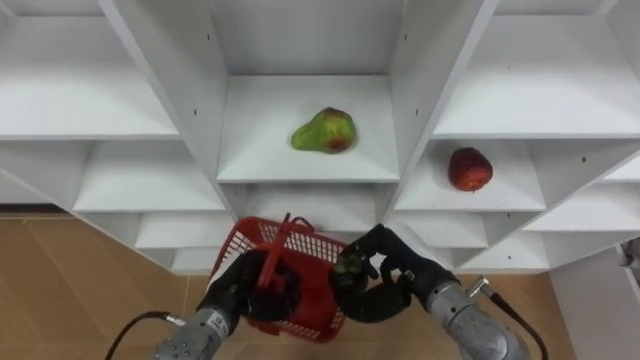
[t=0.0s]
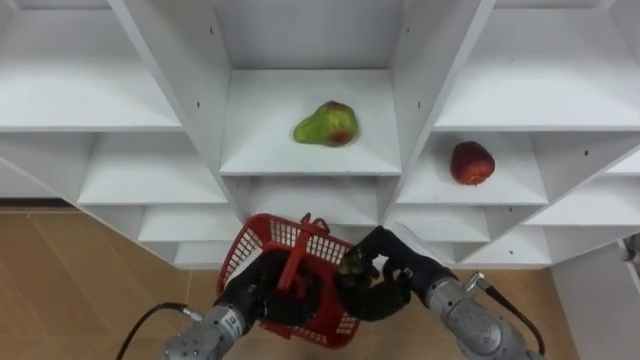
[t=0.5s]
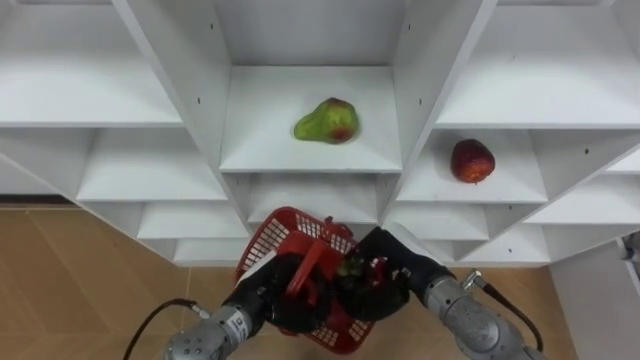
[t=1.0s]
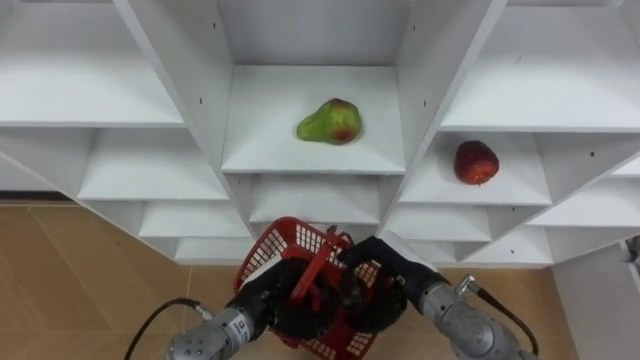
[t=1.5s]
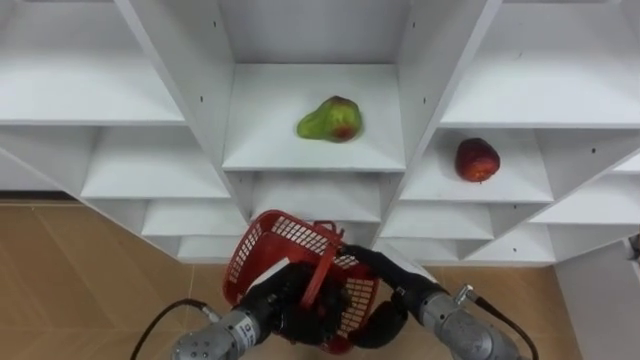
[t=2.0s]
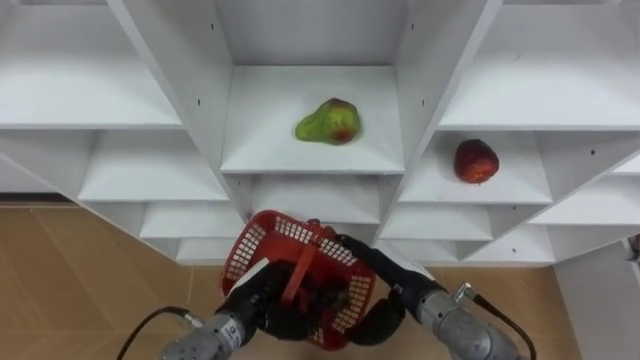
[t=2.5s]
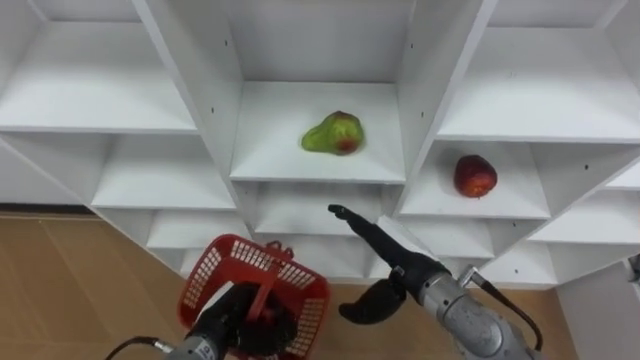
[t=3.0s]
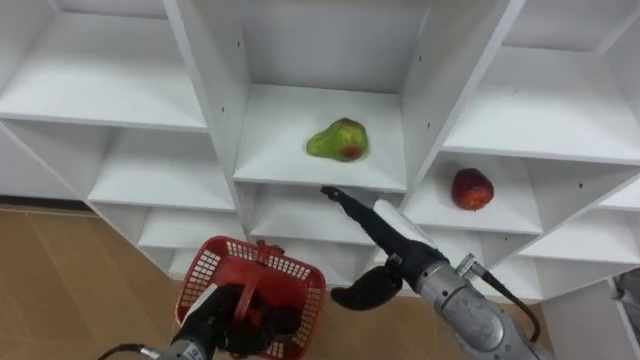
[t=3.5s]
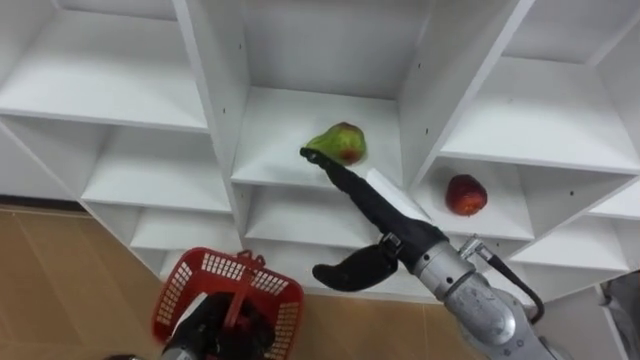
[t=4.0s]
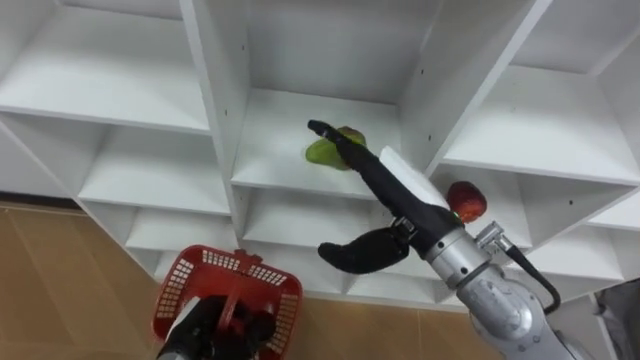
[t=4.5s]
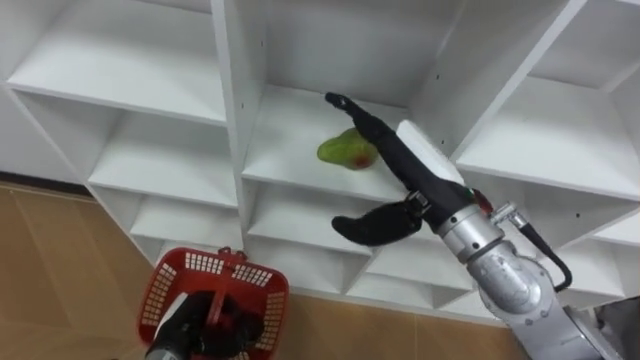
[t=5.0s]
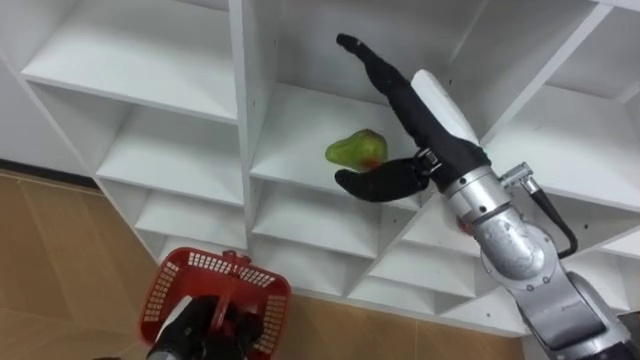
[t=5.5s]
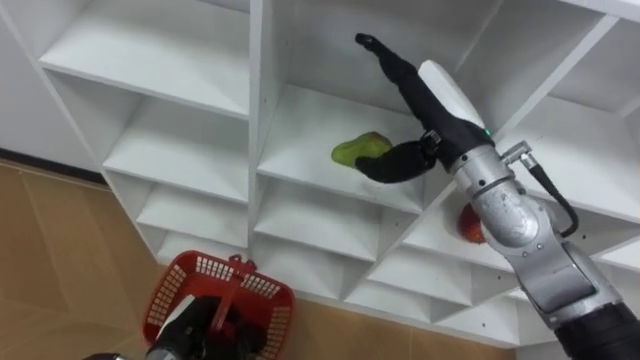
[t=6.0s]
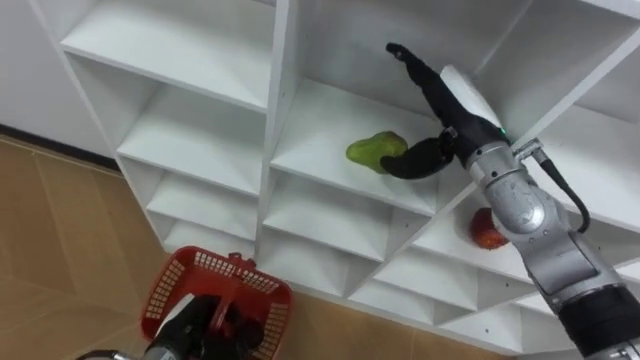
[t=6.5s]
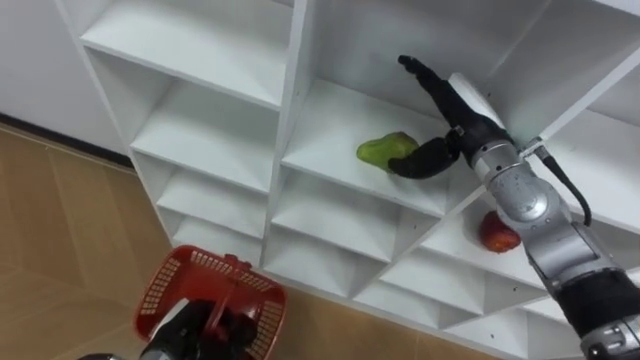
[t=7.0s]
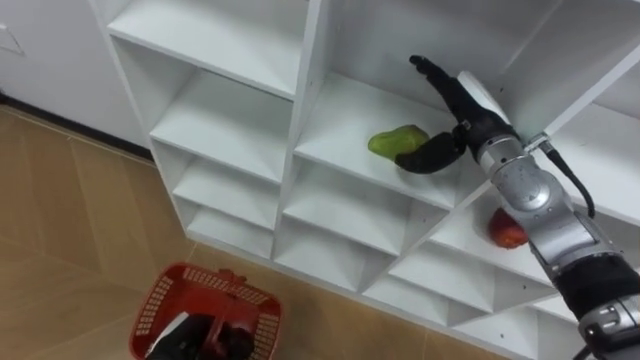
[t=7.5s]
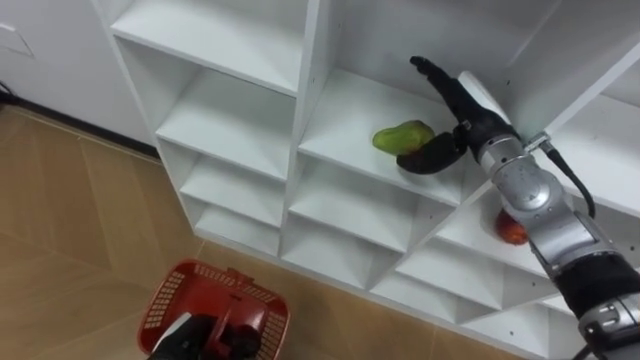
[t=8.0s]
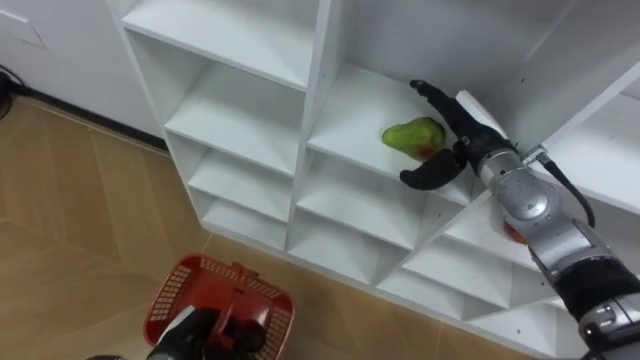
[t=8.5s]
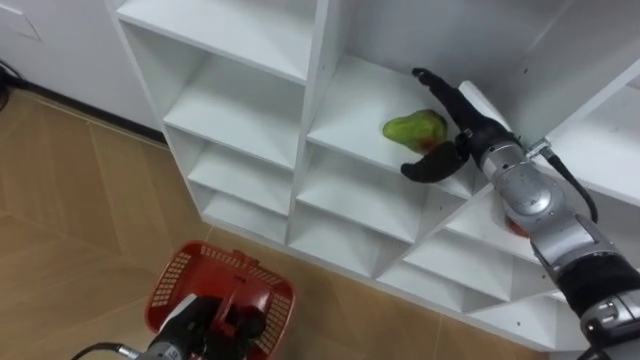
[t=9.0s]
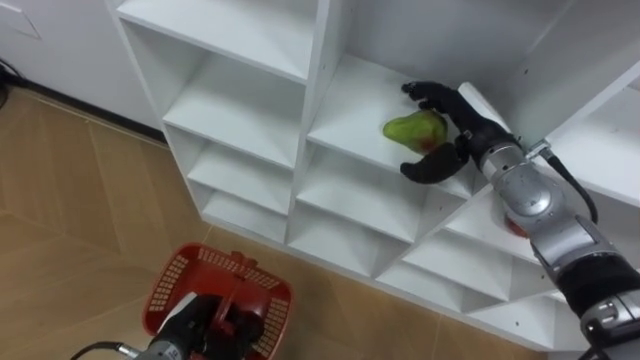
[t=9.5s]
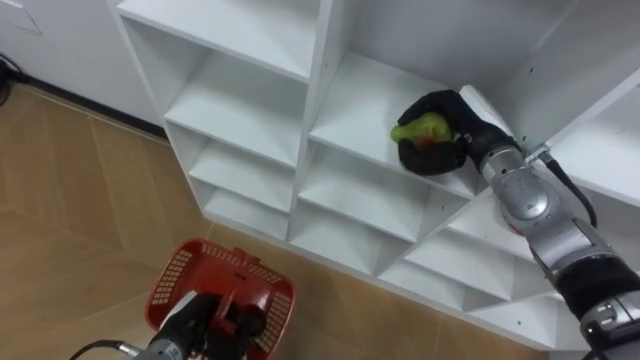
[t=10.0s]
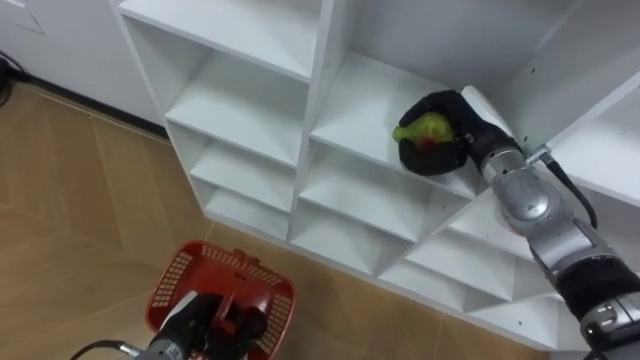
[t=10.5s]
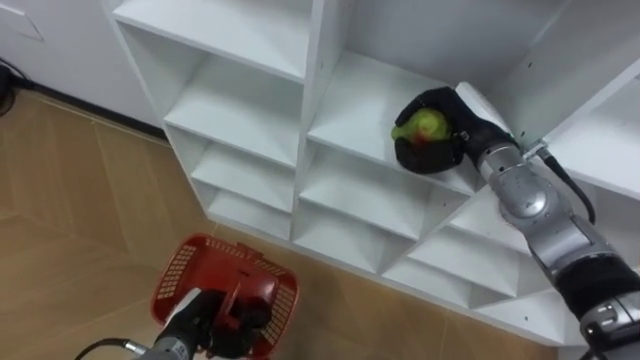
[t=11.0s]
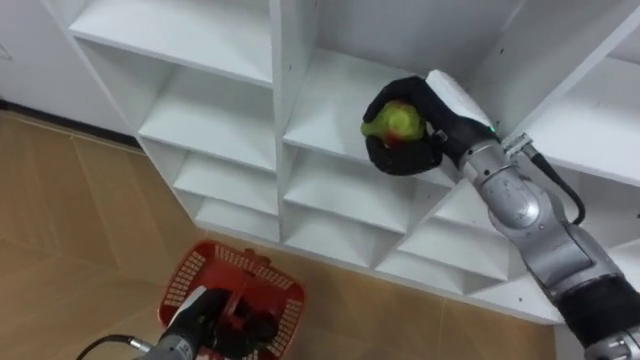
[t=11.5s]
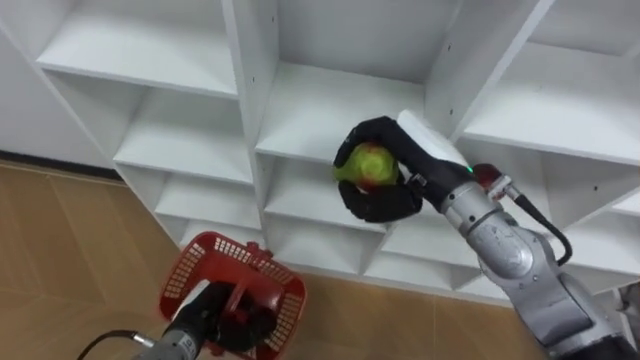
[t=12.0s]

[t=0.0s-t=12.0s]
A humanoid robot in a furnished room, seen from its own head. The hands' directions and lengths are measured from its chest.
Task of the whole recording: Hold the basket and collect the fruits from 3 different cells of the closet into it.
t=0.0s to t=2.0s: The left hand goes some 5 cm to the right; the right hand opens.
t=2.0s to t=4.0s: The left hand goes roughly 10 cm to the left and downward. Meanwhile the right hand goes roughly 15 cm upward.
t=4.0s to t=6.0s: The right hand moves forward and upward, roughly 10 cm.
t=6.0s to t=8.0s: The right hand shifts some 10 cm to the right, downward and forward.
t=8.0s to t=10.0s: The right hand closes.
t=10.0s to t=12.0s: The right hand is displaced to the left and backward by approximately 10 cm.

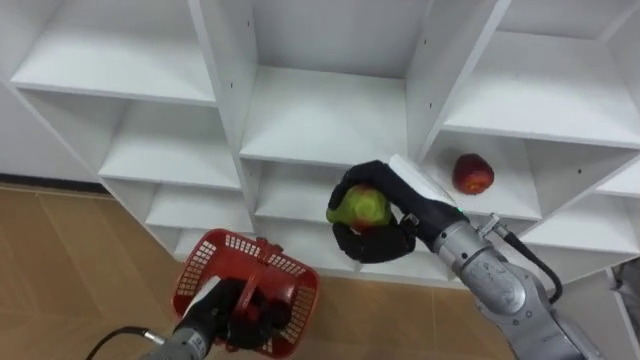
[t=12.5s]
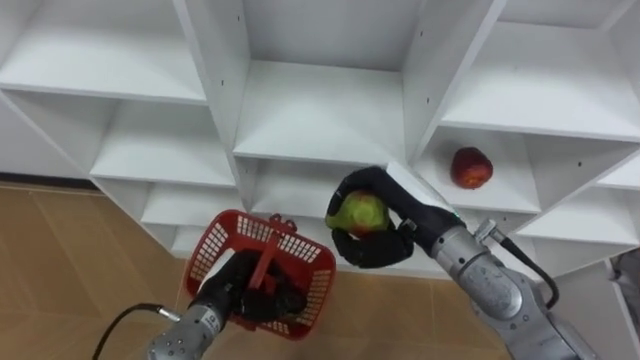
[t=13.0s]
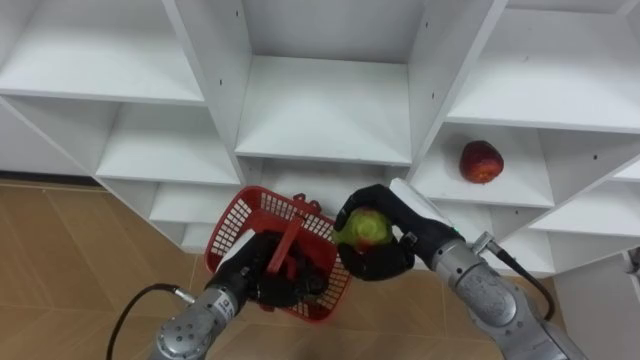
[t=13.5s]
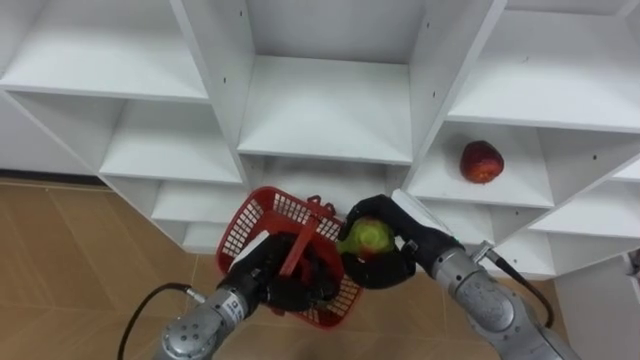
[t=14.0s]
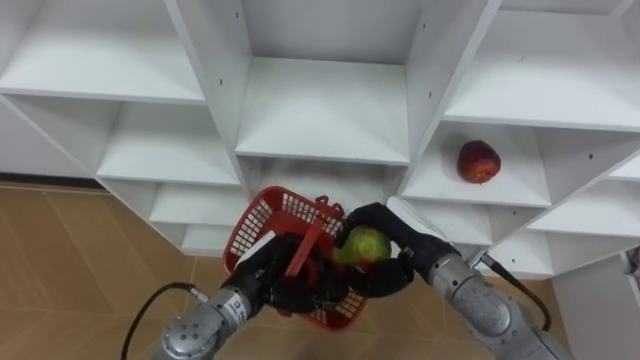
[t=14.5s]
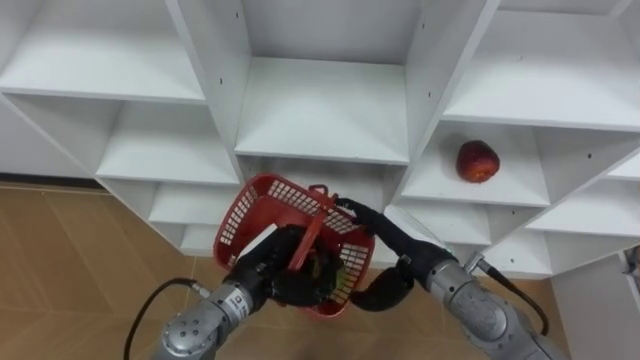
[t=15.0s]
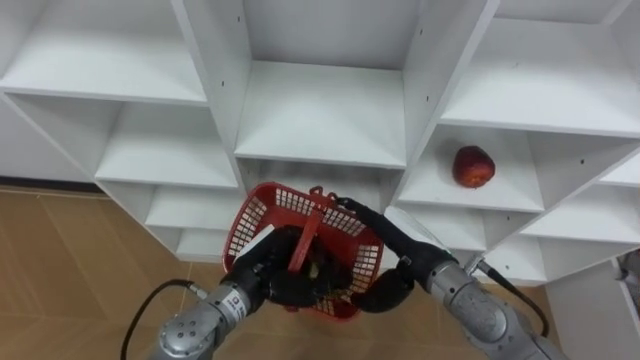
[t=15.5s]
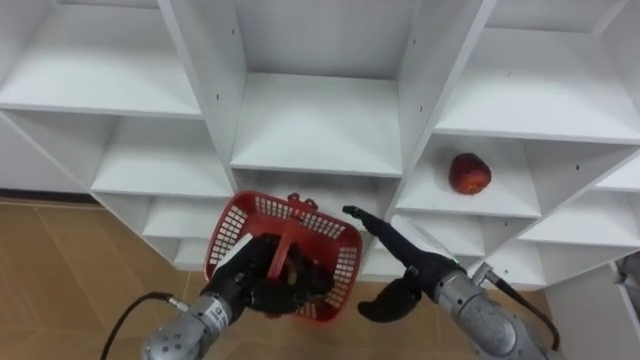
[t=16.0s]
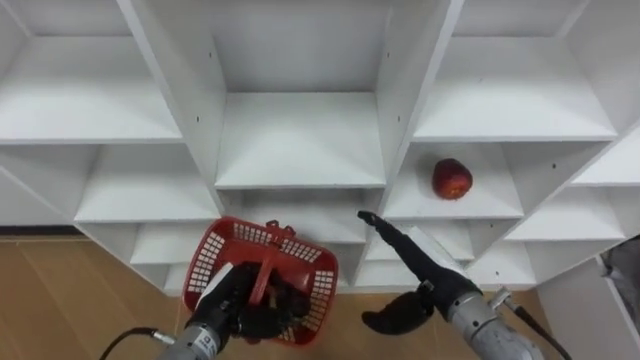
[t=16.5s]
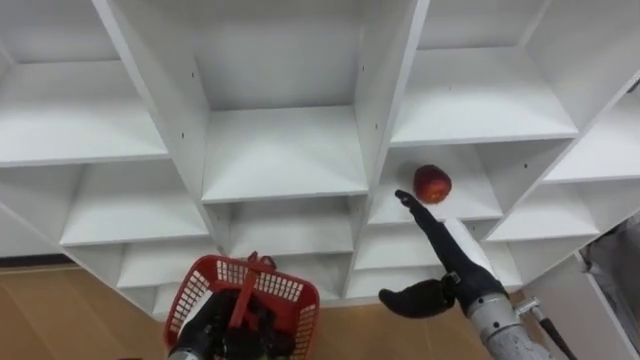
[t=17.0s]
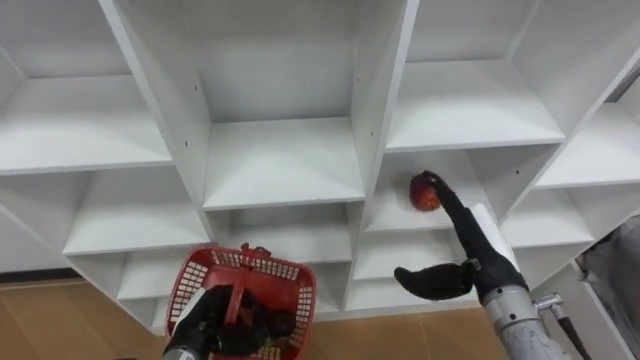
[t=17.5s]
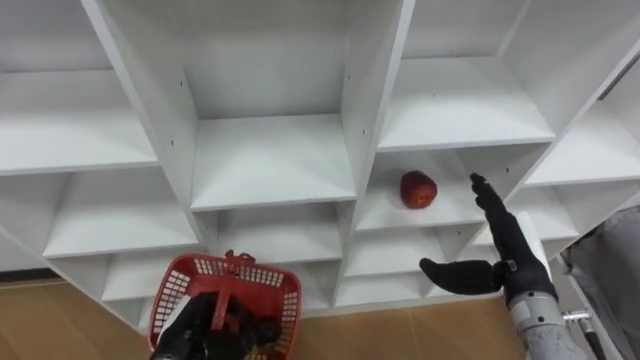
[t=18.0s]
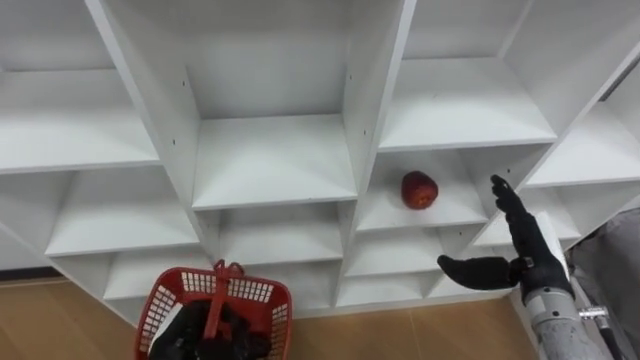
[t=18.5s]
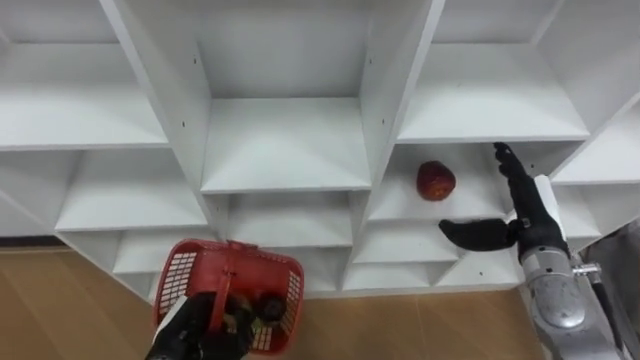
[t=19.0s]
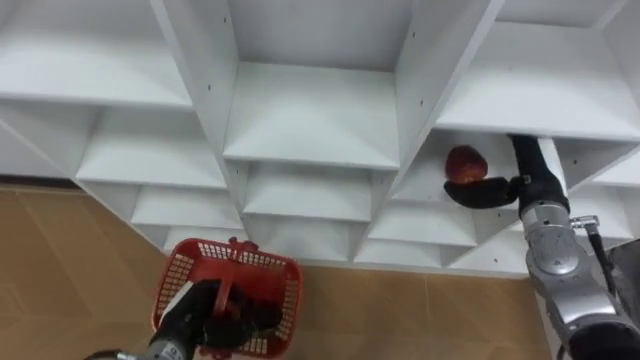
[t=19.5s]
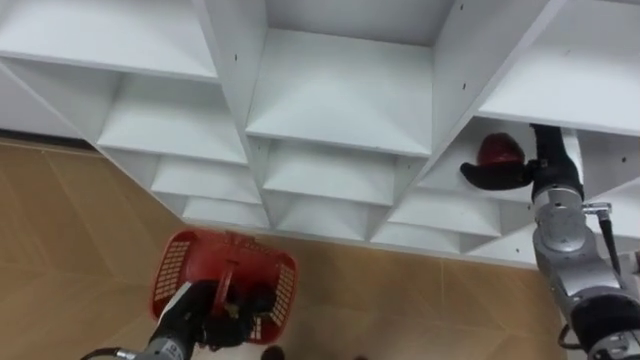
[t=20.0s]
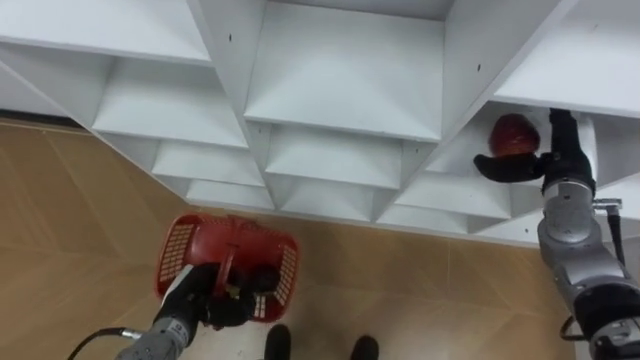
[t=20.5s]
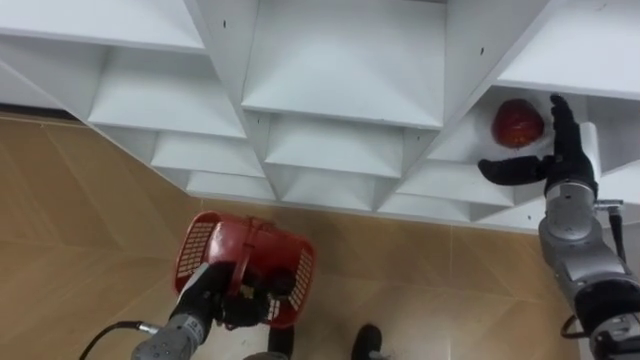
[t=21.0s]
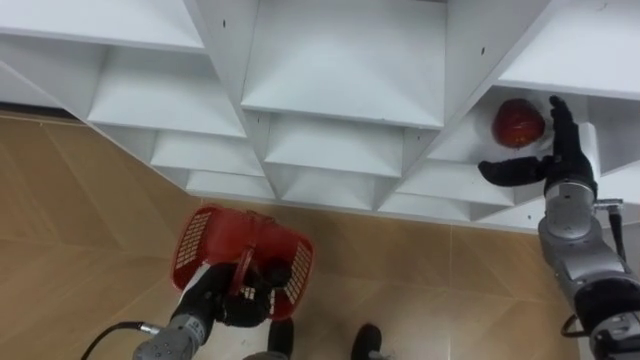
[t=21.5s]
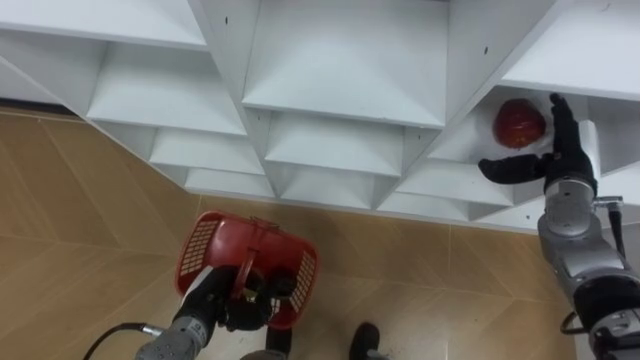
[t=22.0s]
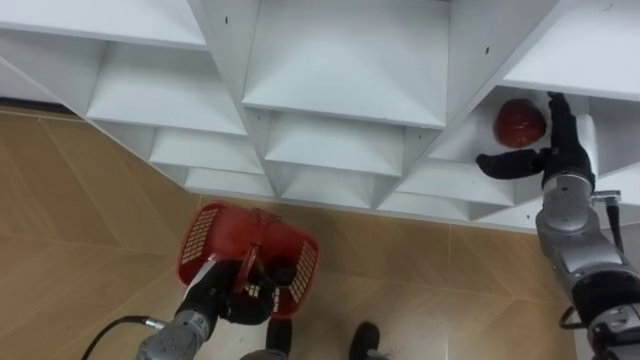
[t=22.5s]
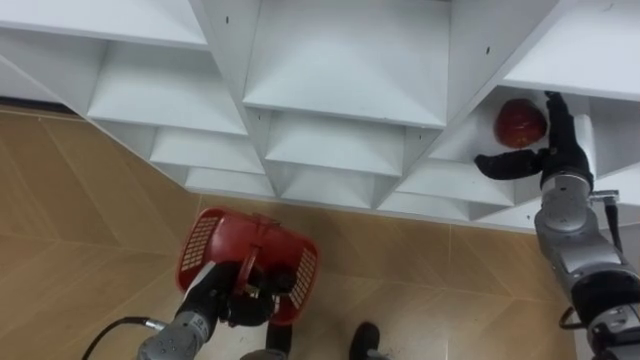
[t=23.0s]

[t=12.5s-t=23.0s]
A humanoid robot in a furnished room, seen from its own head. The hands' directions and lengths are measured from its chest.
Task of the whole recording: Hold the basket and collect the fruits from 3 different cells of the closet into it.
t=12.5s to t=14.5s: The left hand travels to the right and upward by some 10 cm. Meanwhile the right hand travels downward by approximately 5 cm.
t=14.5s to t=16.5s: The right hand opens its fingers, while the left hand is displaced to the left by approximately 5 cm.
t=16.5s to t=19.0s: The left hand shifts about 5 cm to the left, while the right hand heads to the right and forward, covering some 15 cm.
t=19.0s to t=21.0s: The left hand changes place by approximately 5 cm, while the right hand shifts roughly 5 cm forward.
